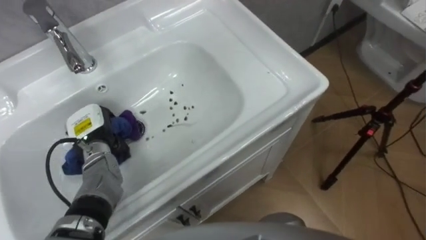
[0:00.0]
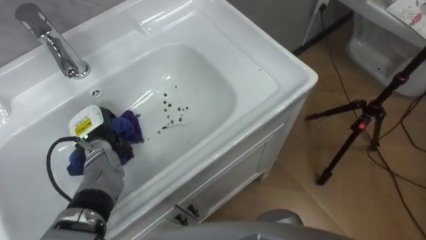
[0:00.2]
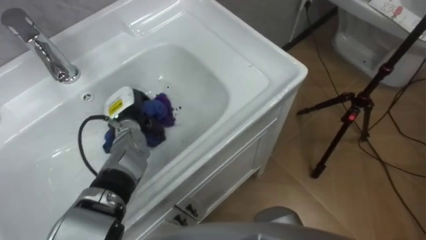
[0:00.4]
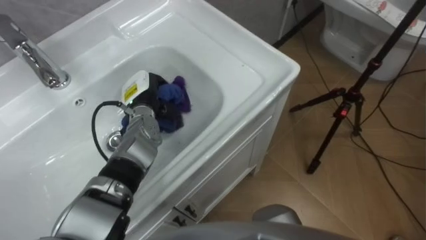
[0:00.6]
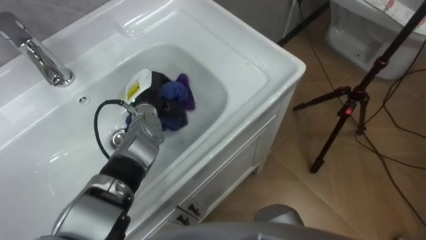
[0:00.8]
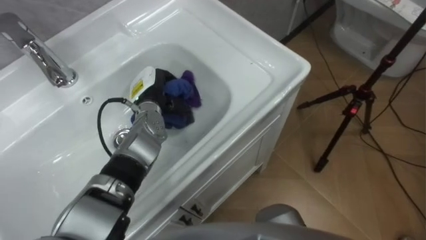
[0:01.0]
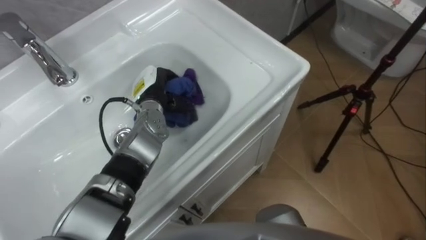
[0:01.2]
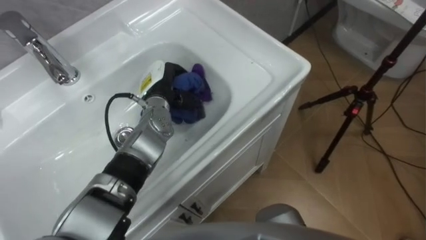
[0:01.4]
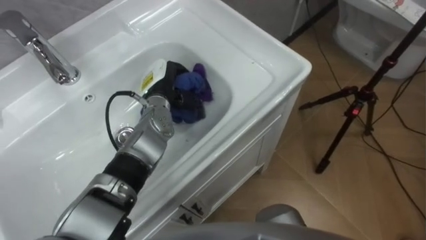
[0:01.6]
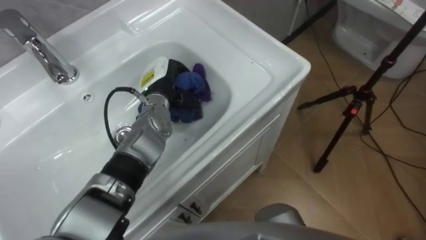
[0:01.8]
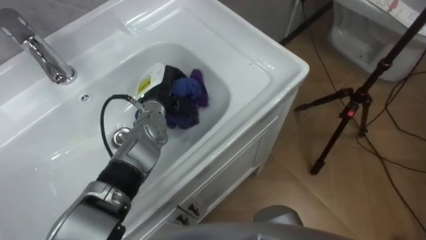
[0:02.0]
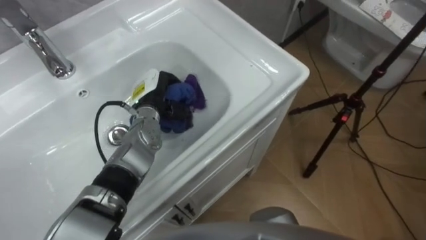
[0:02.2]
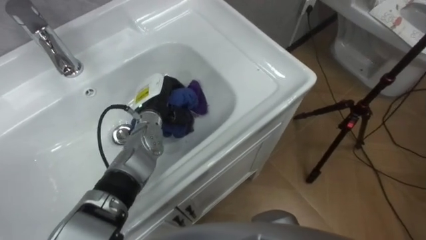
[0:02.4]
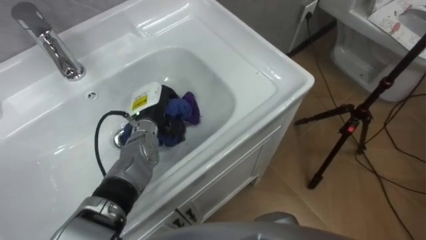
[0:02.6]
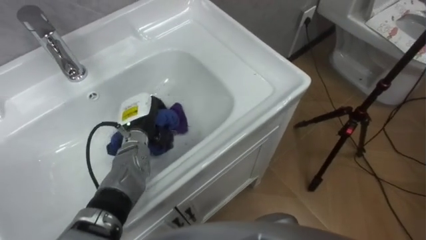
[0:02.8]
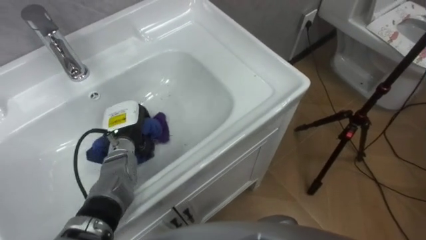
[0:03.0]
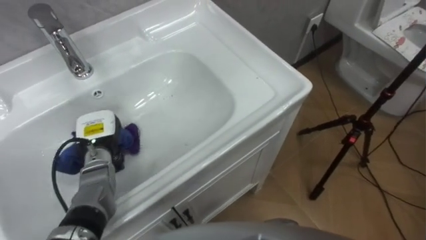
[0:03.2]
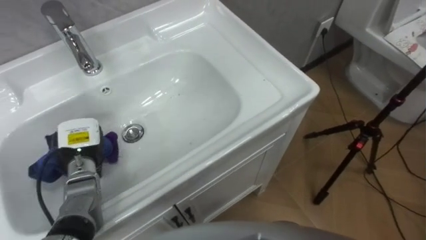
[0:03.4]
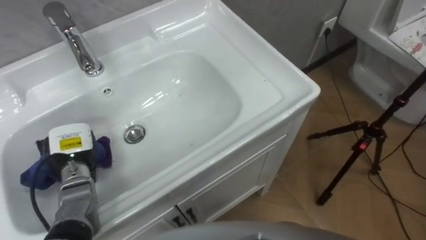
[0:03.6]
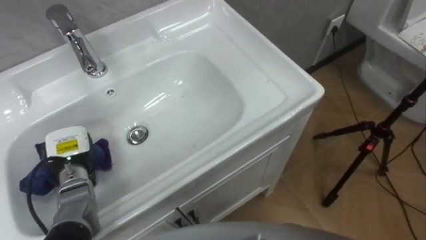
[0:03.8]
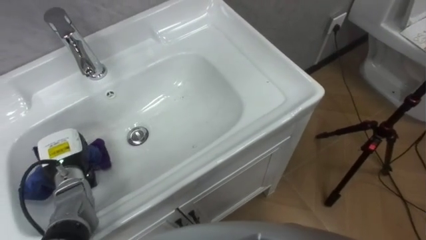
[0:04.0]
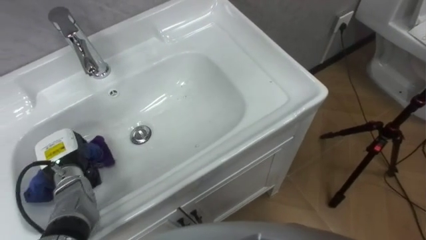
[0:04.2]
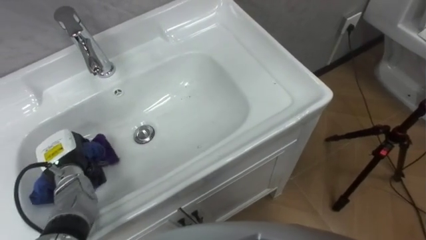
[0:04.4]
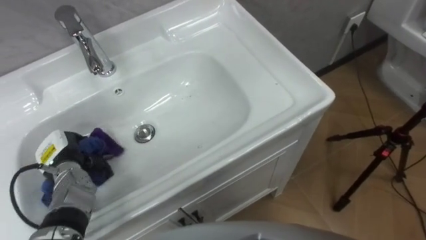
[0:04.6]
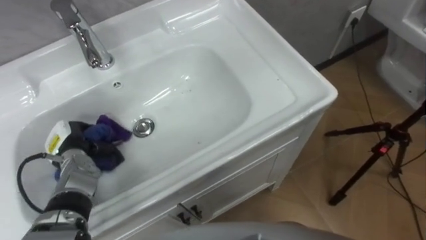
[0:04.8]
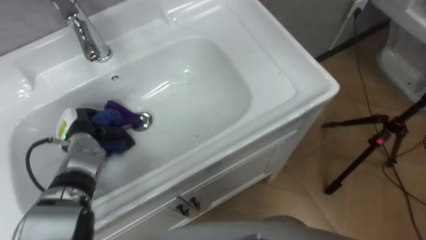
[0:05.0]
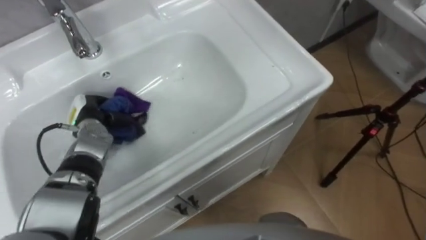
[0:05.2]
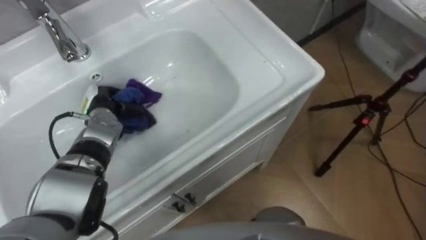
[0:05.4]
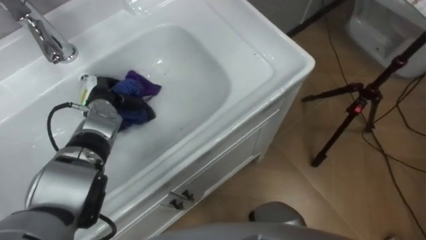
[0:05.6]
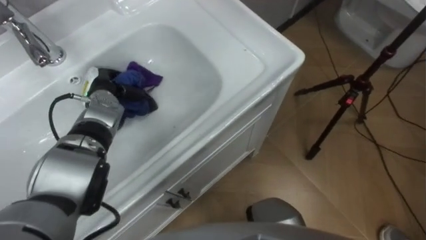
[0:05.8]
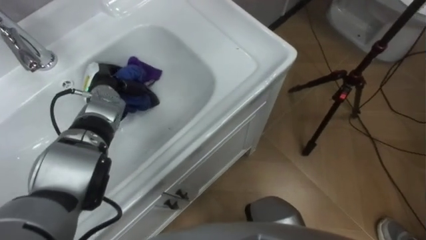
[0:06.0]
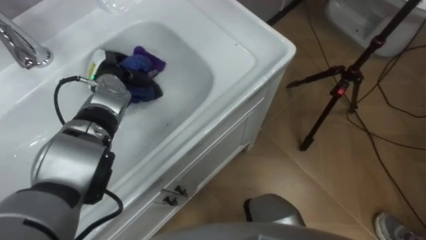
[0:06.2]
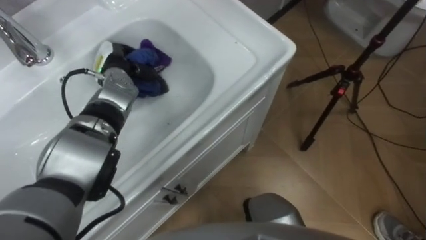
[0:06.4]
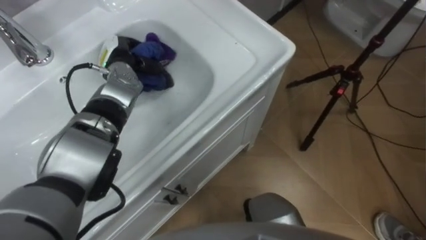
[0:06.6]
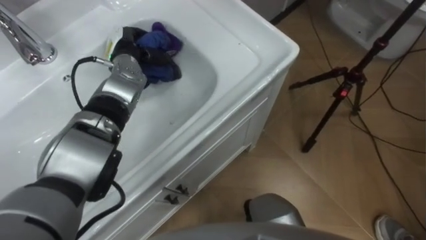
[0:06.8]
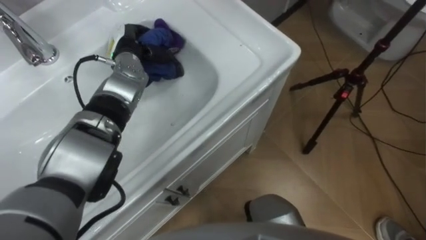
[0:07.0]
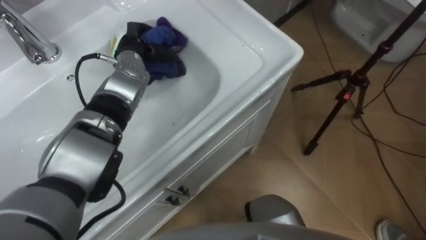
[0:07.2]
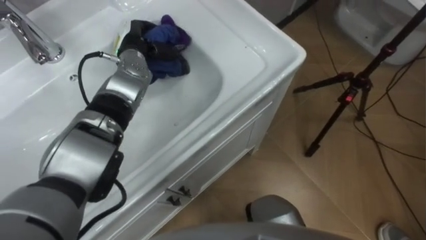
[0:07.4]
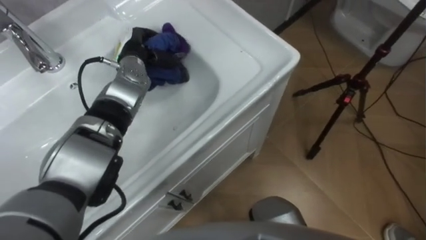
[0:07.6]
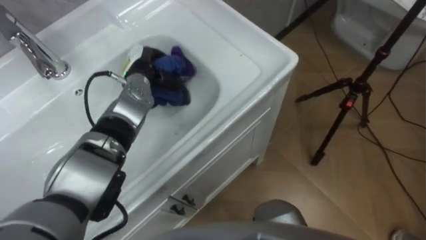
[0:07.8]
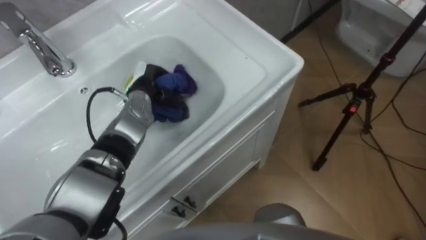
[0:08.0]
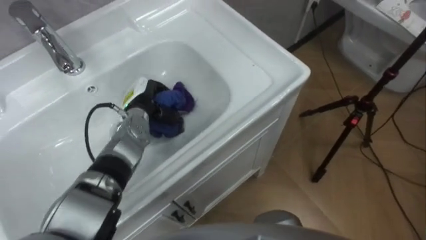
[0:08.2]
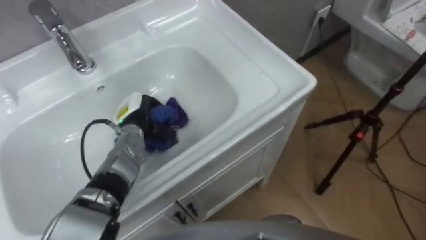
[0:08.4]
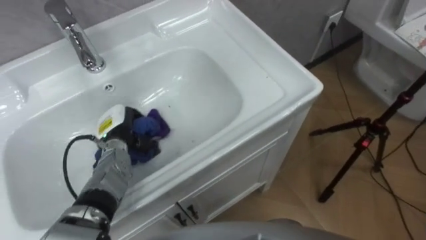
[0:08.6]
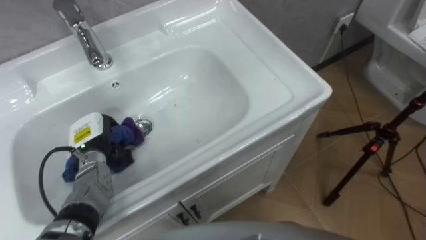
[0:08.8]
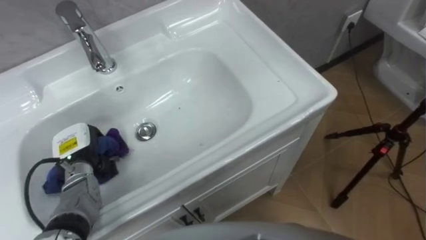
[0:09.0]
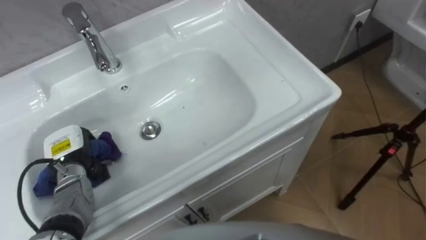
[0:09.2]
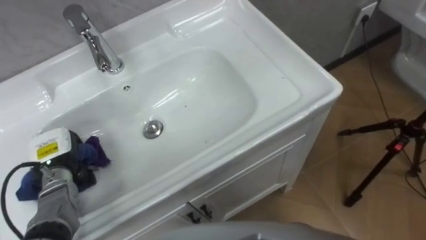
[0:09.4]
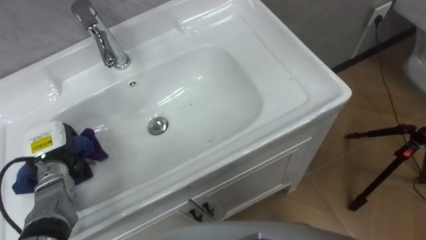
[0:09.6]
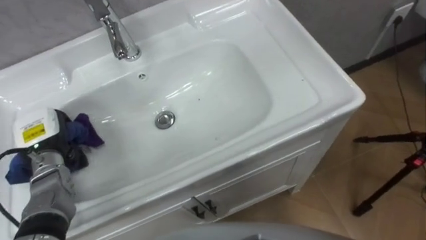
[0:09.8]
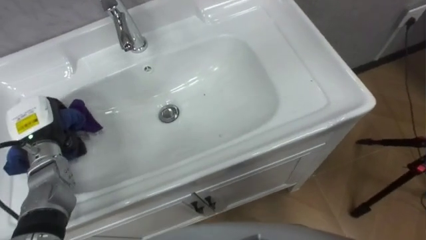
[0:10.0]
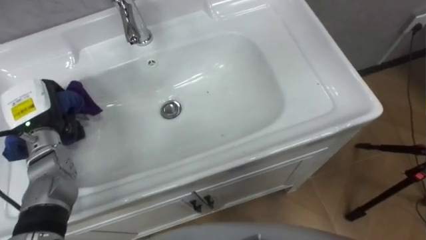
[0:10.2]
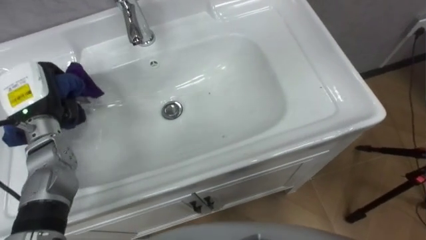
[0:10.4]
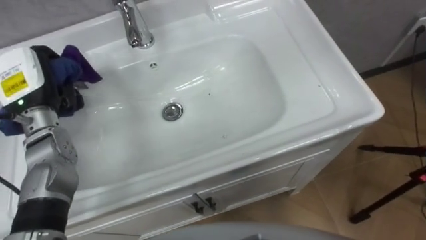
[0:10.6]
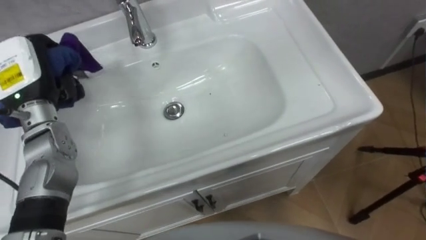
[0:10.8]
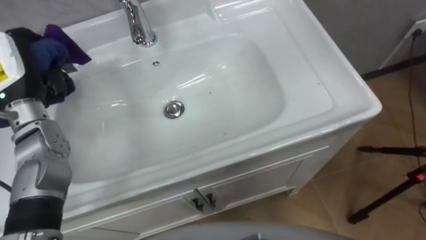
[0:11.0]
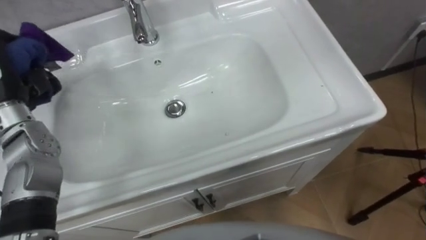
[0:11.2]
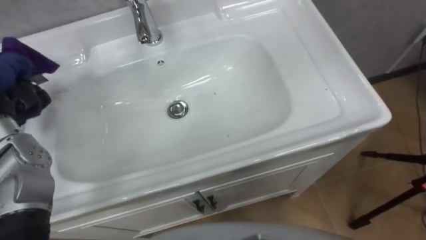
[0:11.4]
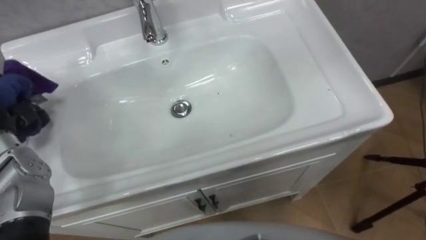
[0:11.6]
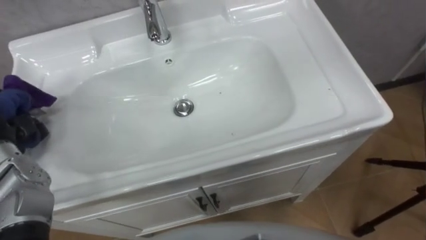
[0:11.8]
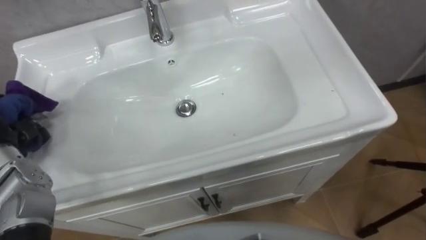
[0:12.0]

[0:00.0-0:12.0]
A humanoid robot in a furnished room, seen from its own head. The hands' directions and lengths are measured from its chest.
Task of the whole recording: Use the cloth on the right to wipe away the black stain in the sink.
0:00.0 to 0:01.6: The left hand goes about 15 cm to the right and forward.
0:01.6 to 0:03.0: The left hand goes approximately 15 cm to the left, backward and downward.
0:03.0 to 0:04.4: The left hand heads to the left and backward, covering some 15 cm.
0:04.4 to 0:06.0: The left hand goes approximately 20 cm forward and to the right.
0:06.0 to 0:07.6: The left hand moves to the right and upward, roughly 10 cm.
0:07.6 to 0:09.0: The left hand shifts some 25 cm backward, to the left and downward.
0:09.0 to 0:10.4: The left hand is displaced upward and forward by some 15 cm.

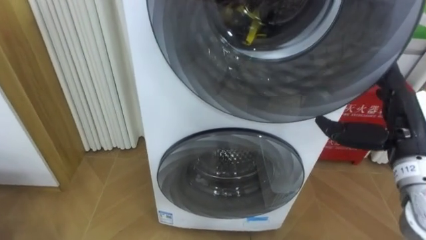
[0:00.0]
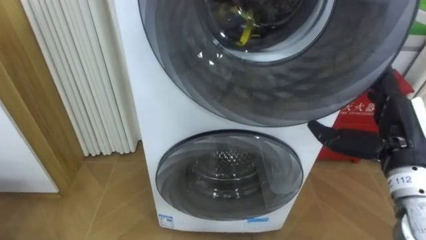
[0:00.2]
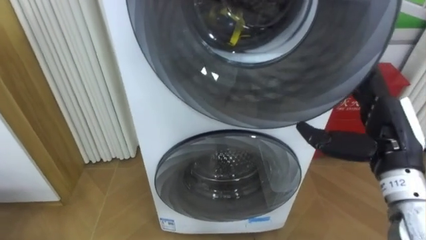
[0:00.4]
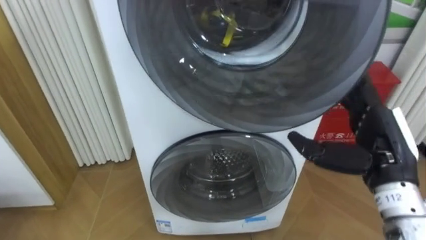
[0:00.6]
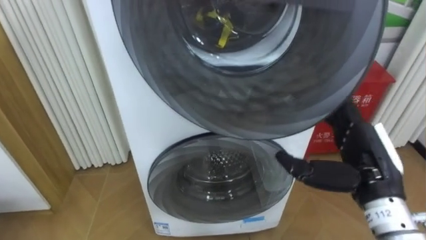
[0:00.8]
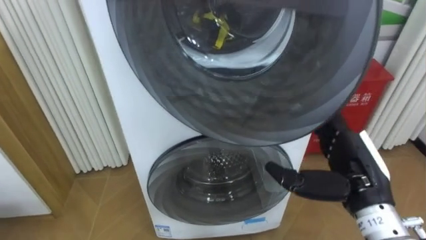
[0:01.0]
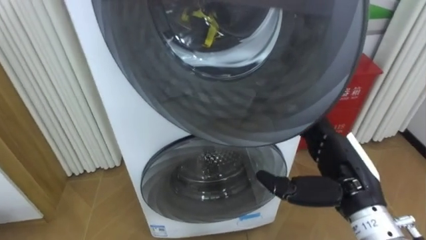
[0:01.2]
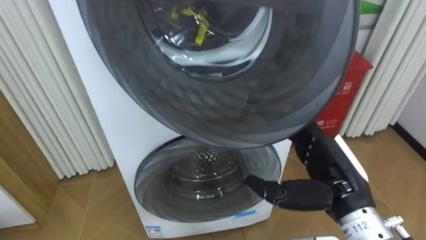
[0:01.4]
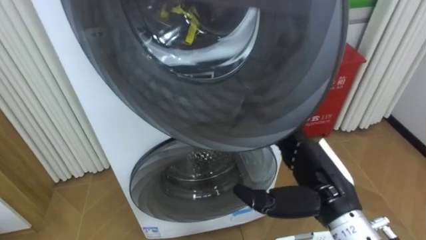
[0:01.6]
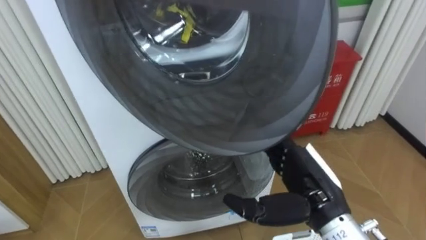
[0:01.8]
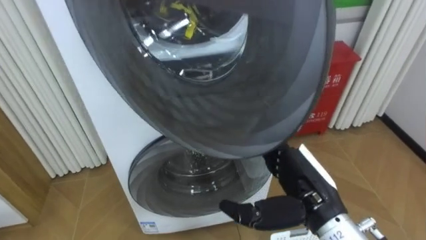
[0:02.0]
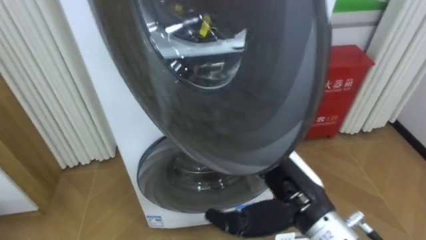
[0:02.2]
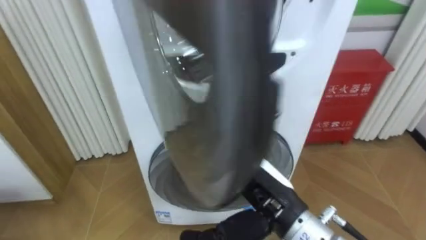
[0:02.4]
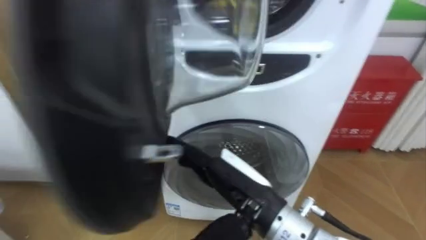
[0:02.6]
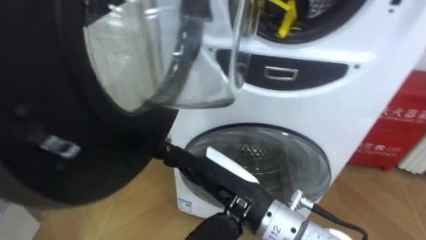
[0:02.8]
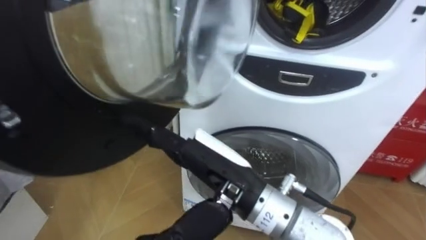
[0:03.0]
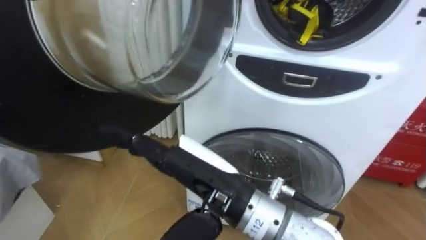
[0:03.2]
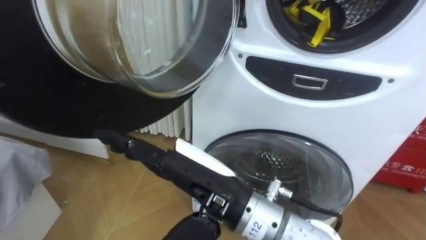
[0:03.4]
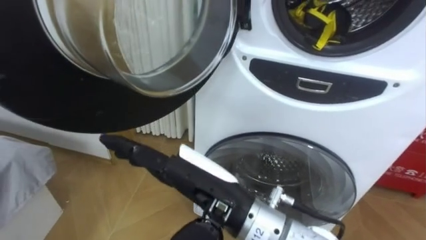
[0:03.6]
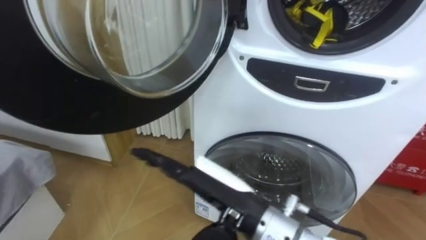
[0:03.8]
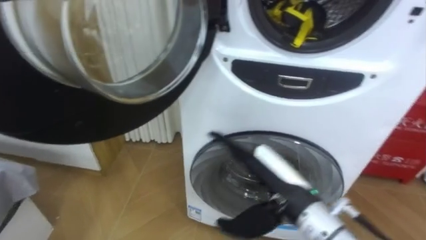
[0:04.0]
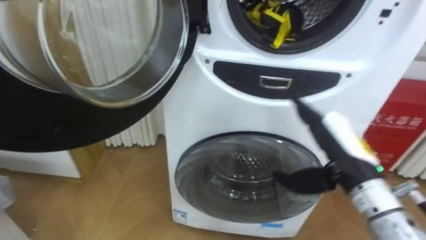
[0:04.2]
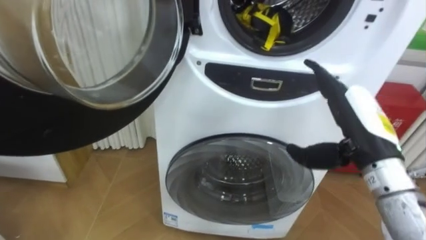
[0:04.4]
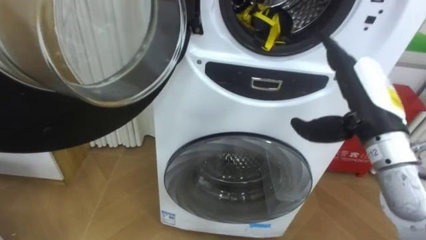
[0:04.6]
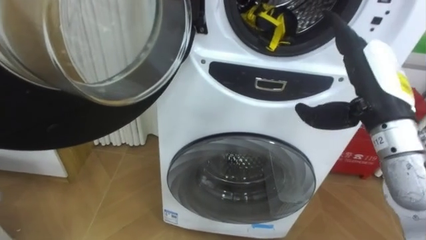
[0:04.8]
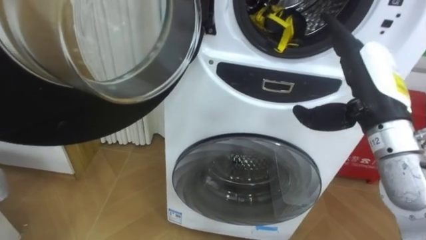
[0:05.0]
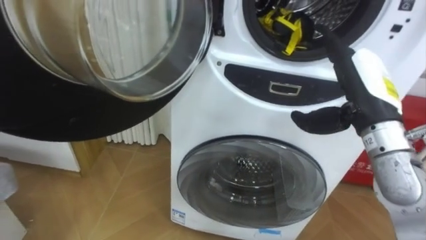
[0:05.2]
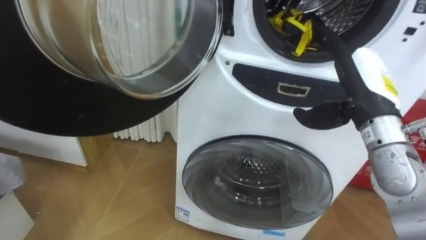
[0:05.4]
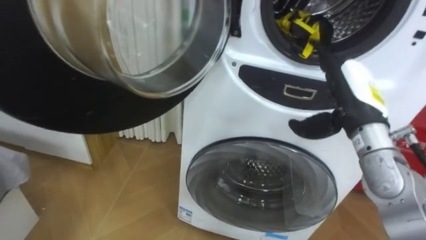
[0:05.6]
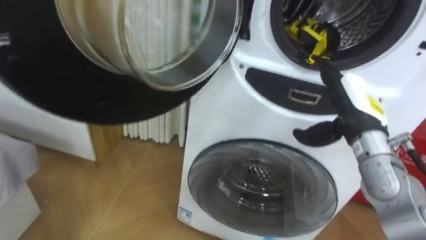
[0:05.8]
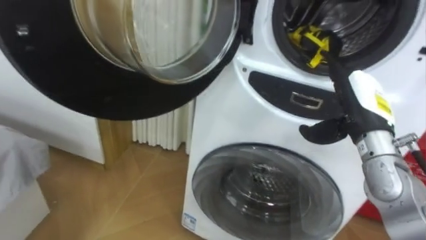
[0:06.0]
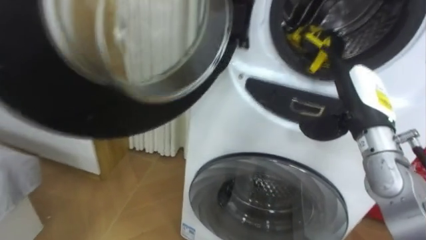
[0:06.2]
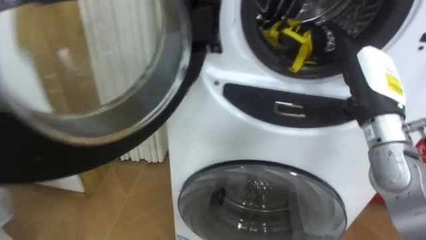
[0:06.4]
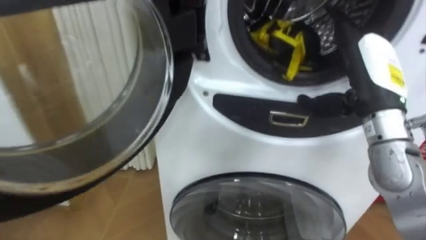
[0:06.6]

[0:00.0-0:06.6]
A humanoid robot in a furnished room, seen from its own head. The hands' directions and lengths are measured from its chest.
Task of the whole recording: Open the washing machine door, take out the yellow clothes, place them in the box on the right, and close the washing machine door.
0:00.0 to 0:01.6: The right hand is displaced to the left and backward by about 15 cm.
0:01.6 to 0:03.2: The right hand shifts about 20 cm to the left and upward.
0:03.2 to 0:05.0: The right hand shifts about 25 cm to the right and forward.
